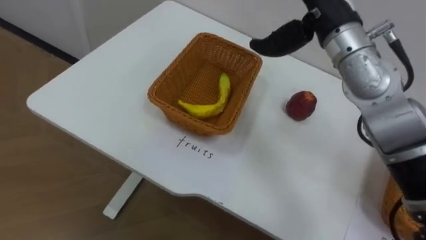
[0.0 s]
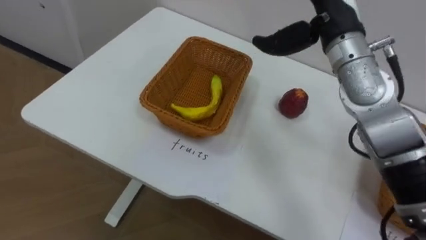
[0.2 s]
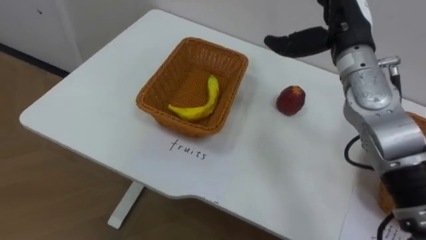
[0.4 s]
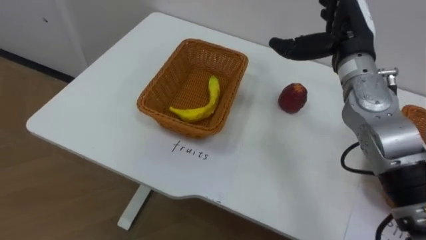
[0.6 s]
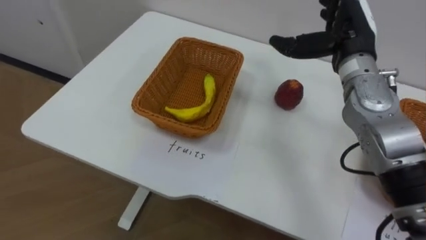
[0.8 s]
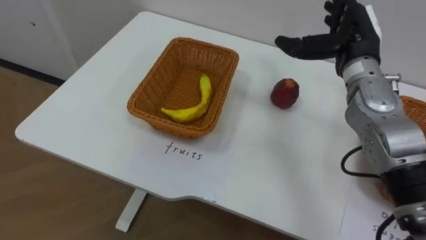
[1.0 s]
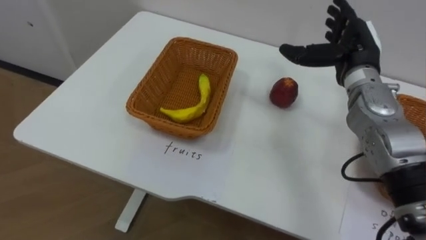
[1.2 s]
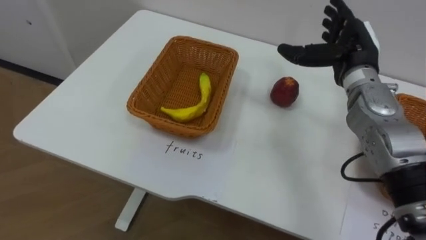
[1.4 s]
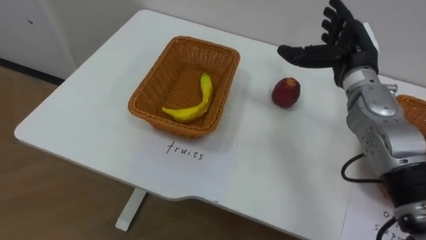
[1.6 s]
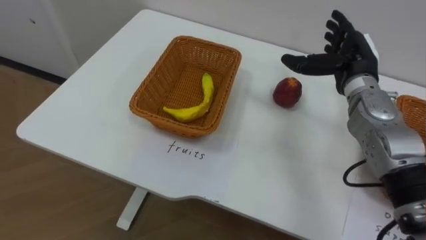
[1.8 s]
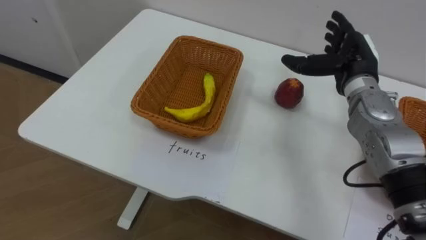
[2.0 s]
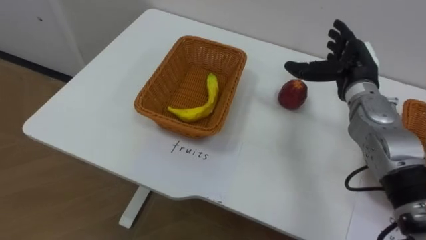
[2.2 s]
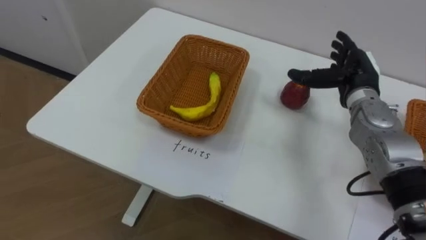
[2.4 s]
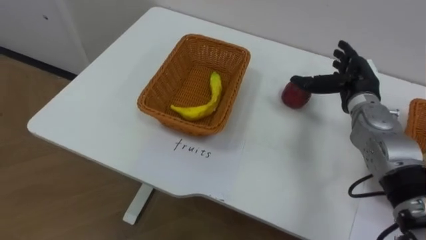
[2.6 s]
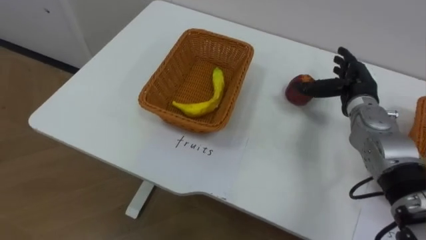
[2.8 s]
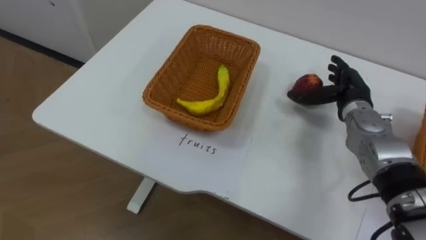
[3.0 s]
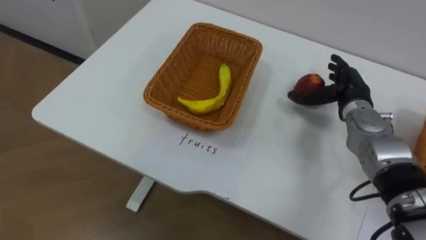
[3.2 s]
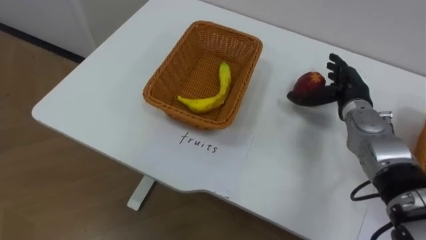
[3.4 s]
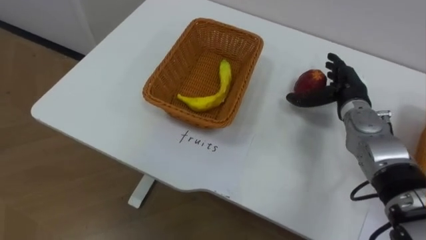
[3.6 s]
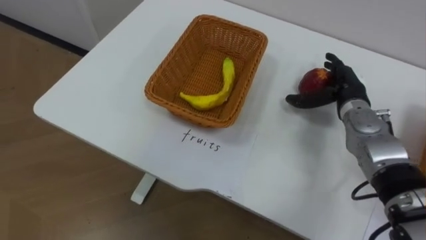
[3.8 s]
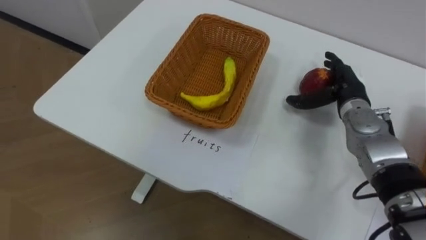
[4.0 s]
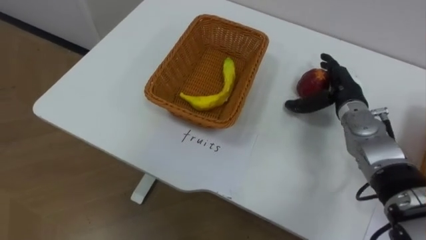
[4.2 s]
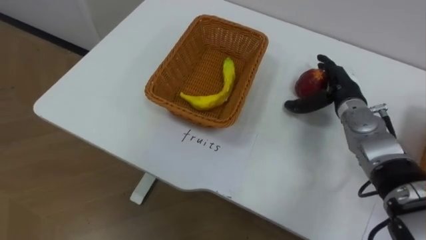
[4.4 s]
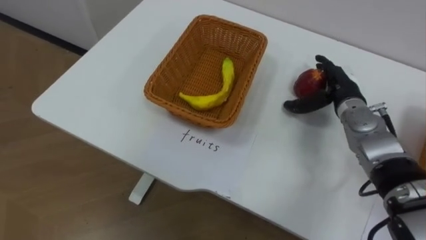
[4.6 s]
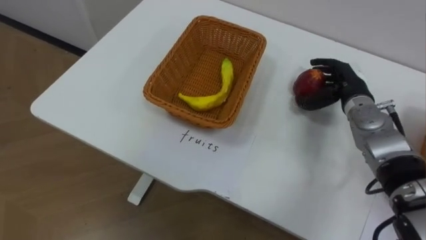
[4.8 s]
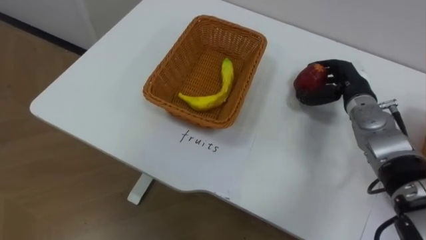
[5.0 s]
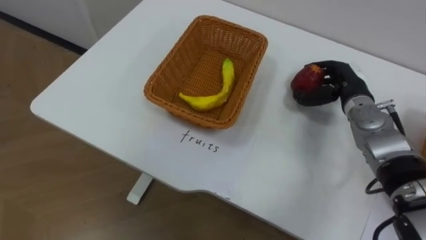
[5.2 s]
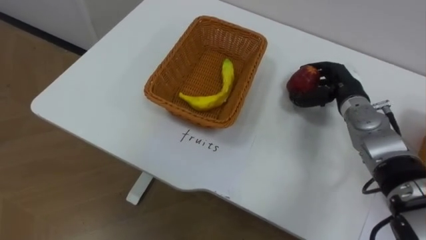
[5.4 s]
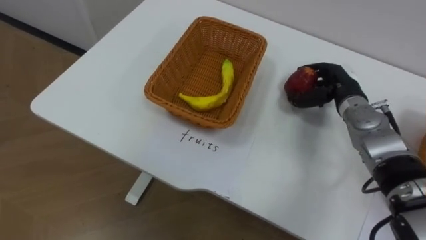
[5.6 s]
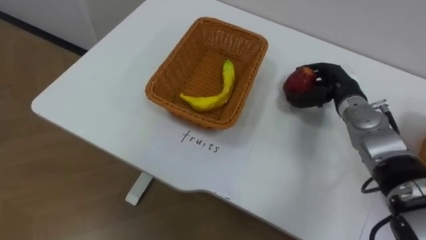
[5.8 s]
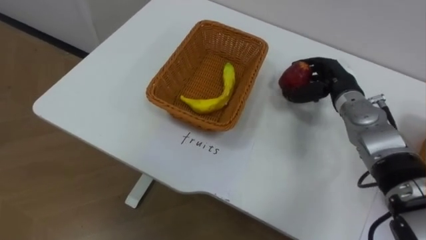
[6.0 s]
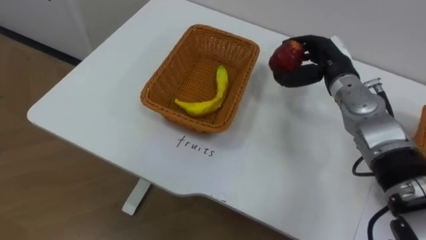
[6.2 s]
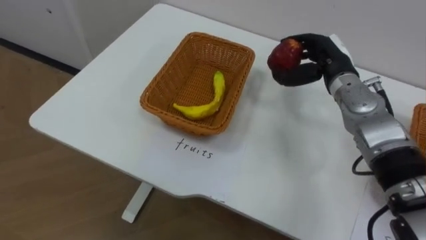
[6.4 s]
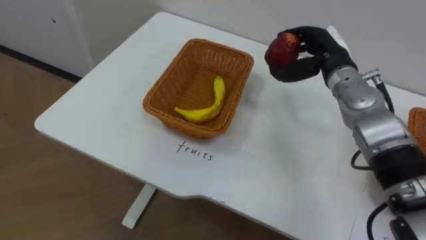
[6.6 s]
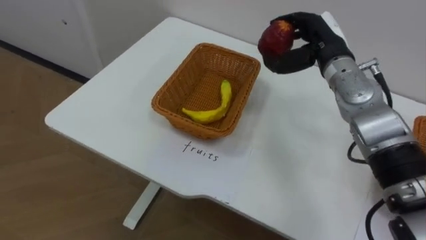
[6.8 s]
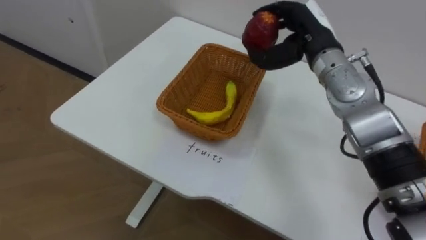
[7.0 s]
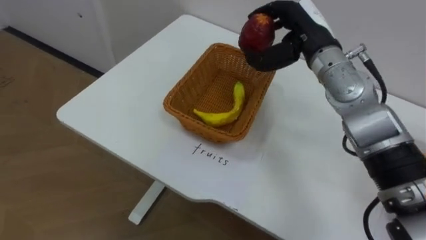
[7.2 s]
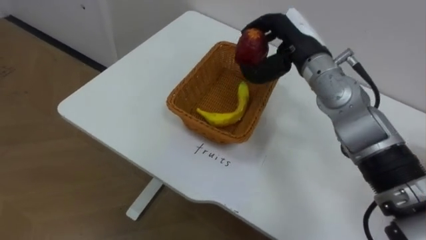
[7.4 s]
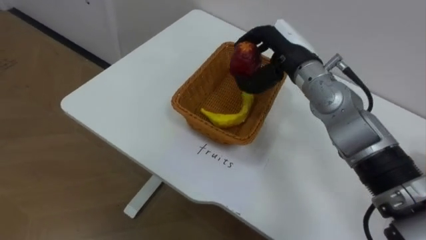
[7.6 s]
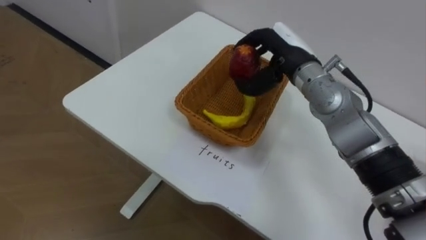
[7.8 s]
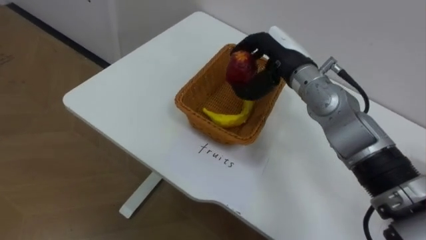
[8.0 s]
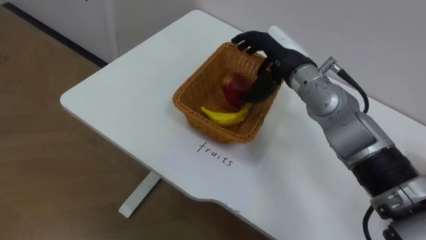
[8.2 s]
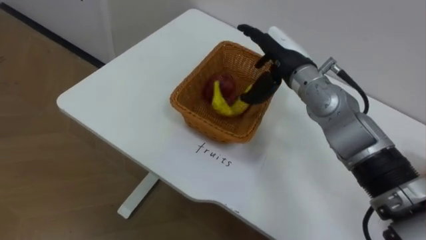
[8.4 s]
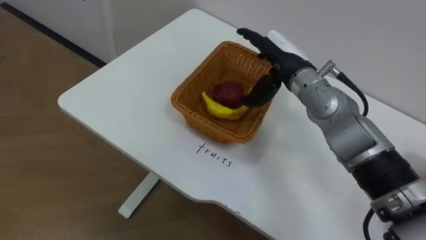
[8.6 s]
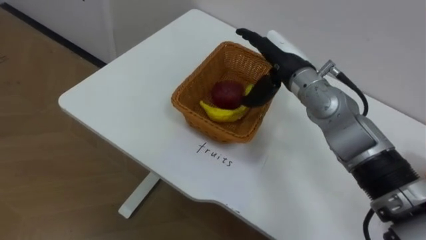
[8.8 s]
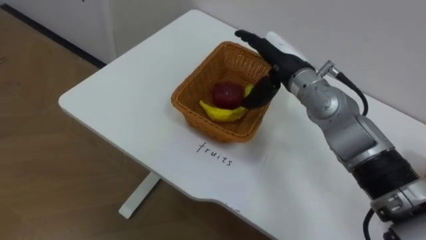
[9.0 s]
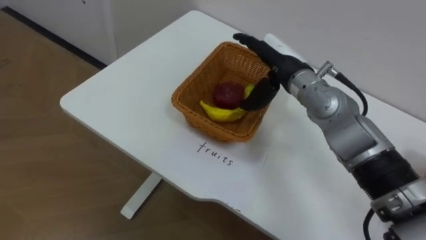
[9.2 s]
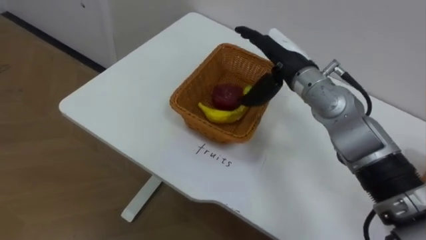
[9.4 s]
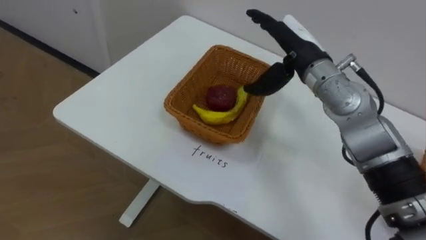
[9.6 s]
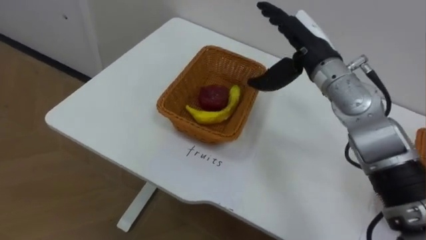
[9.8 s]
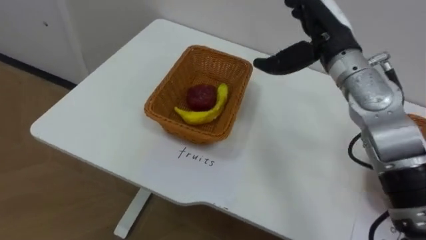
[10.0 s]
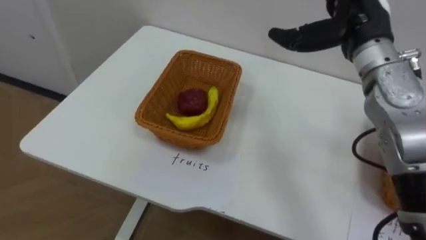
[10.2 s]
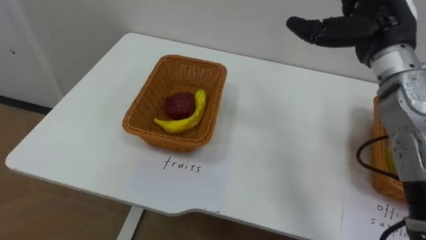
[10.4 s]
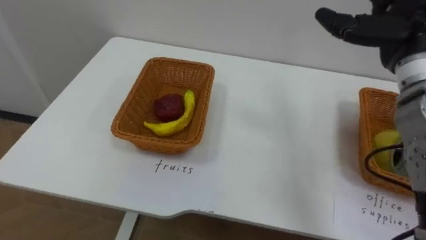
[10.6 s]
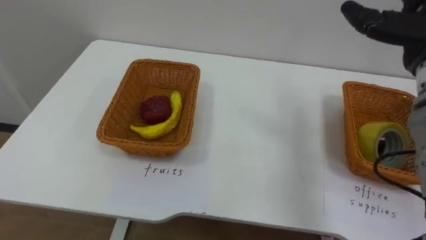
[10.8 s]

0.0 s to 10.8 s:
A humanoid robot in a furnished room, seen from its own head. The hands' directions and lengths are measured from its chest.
Task of the whole recording: Separate the items on the table and place them into the two baskets.
0.0 to 1.6 s: The right hand travels downward and to the right by some 15 cm.
1.6 to 3.0 s: The right hand shifts some 10 cm downward.
4.6 to 6.2 s: The right hand goes approximately 5 cm upward, and closes up.
6.2 to 7.8 s: The right hand moves to the left, approximately 10 cm.
7.8 to 9.2 s: The right hand opens.
9.2 to 10.8 s: The right hand shifts roughly 20 cm to the right and upward.

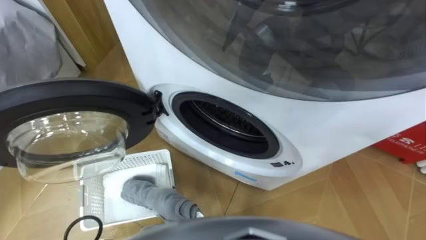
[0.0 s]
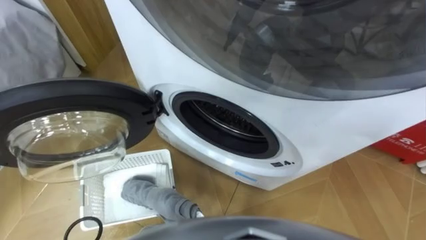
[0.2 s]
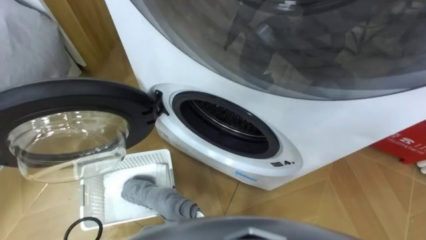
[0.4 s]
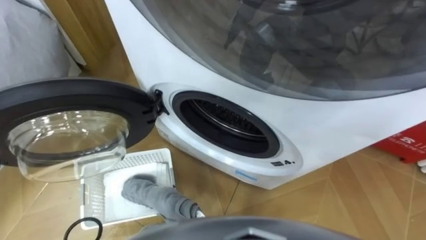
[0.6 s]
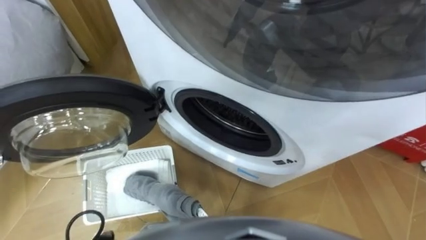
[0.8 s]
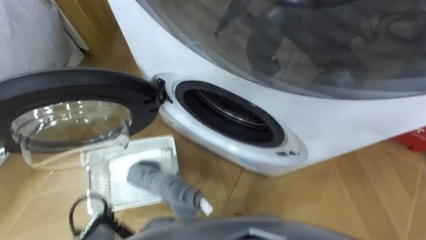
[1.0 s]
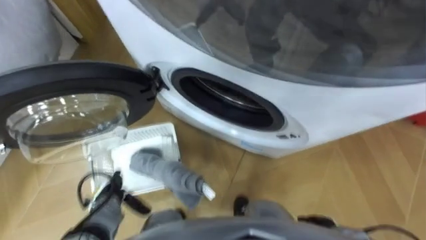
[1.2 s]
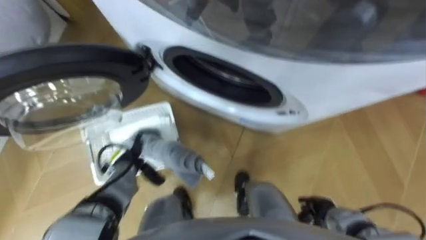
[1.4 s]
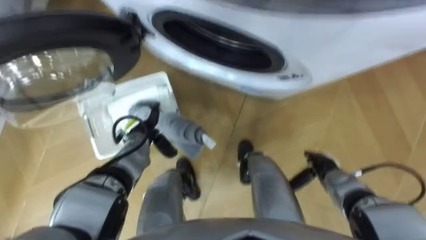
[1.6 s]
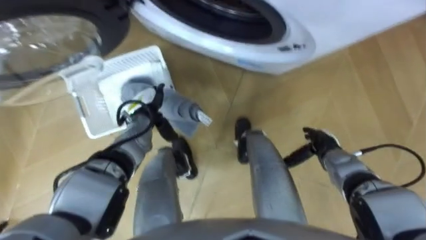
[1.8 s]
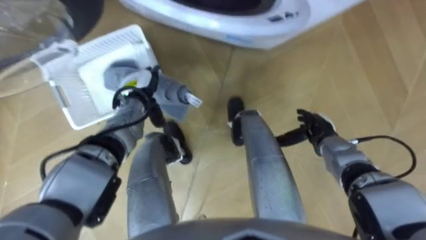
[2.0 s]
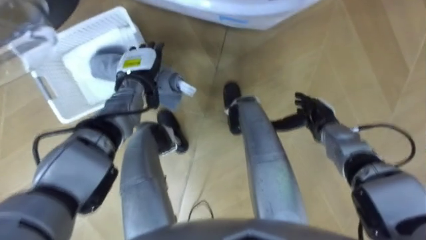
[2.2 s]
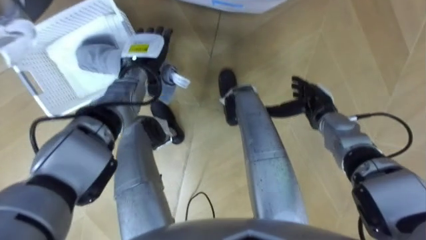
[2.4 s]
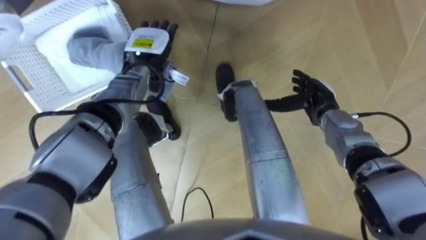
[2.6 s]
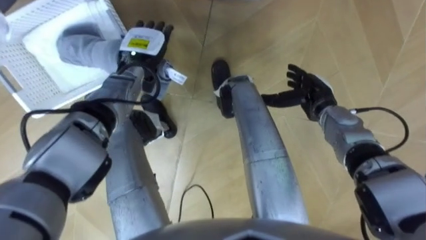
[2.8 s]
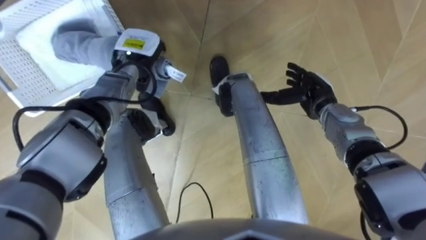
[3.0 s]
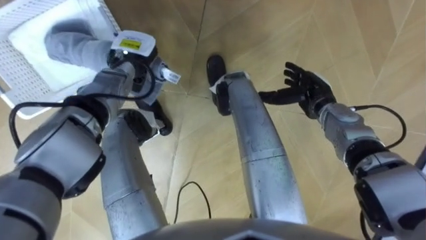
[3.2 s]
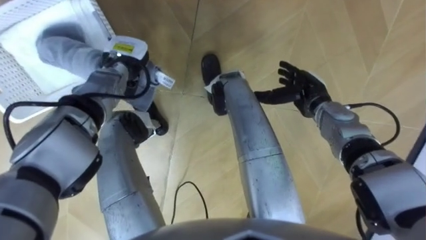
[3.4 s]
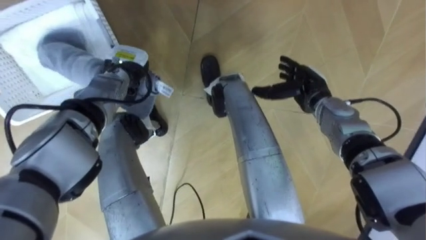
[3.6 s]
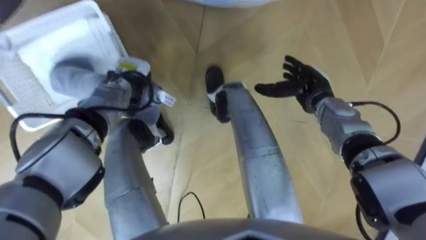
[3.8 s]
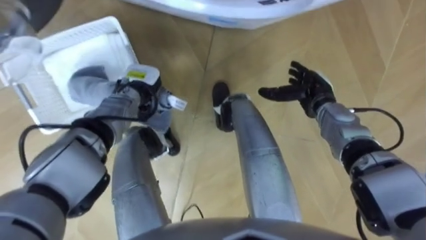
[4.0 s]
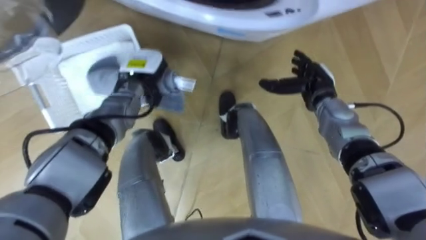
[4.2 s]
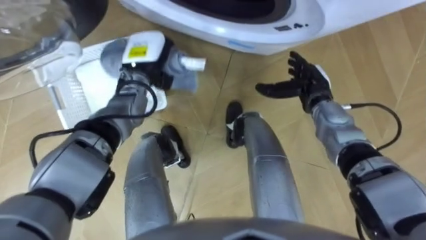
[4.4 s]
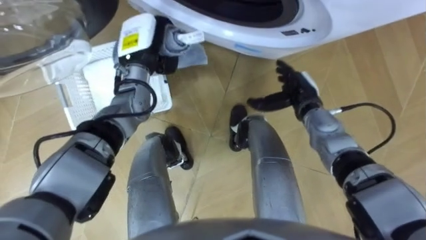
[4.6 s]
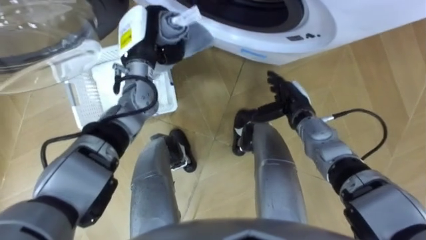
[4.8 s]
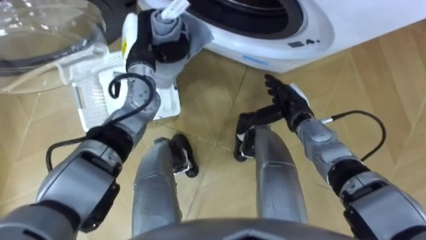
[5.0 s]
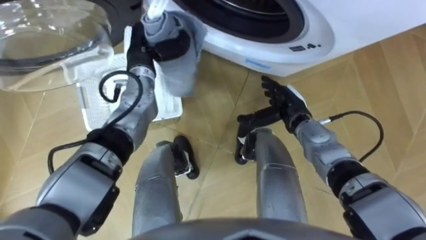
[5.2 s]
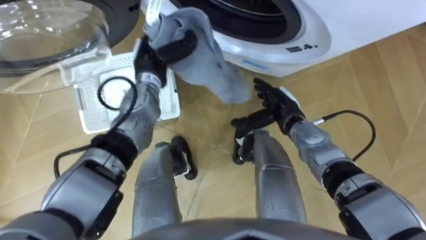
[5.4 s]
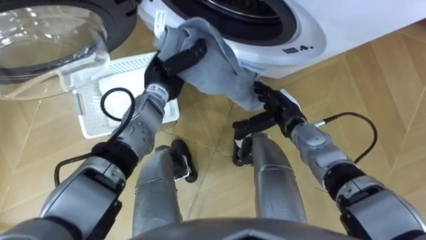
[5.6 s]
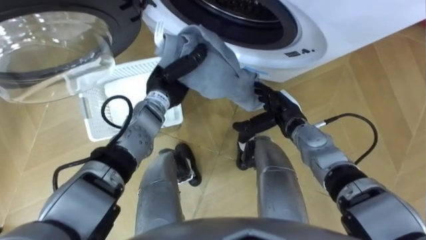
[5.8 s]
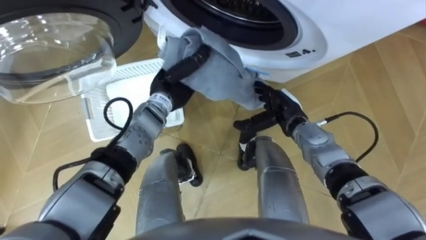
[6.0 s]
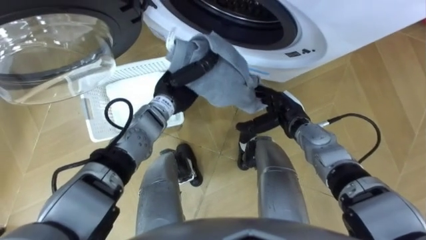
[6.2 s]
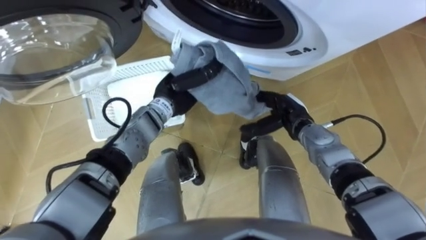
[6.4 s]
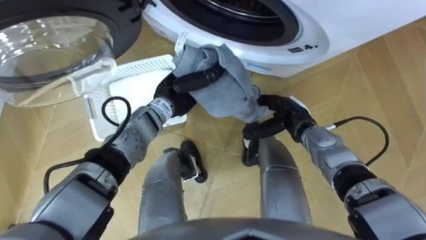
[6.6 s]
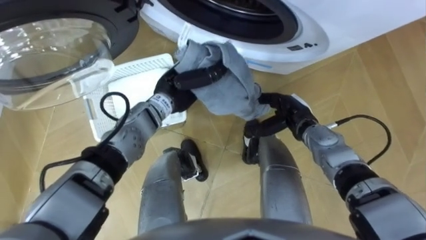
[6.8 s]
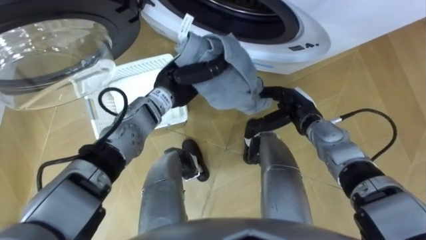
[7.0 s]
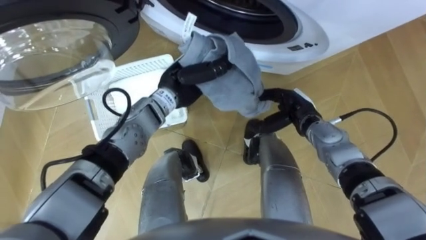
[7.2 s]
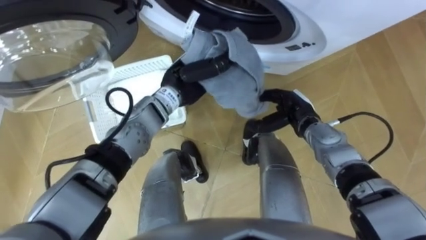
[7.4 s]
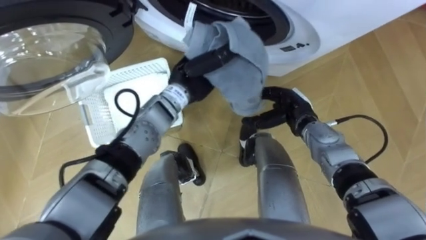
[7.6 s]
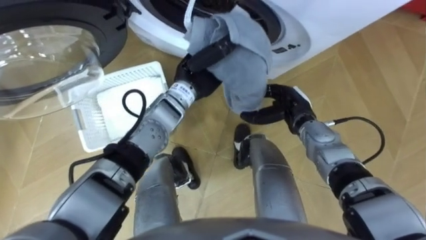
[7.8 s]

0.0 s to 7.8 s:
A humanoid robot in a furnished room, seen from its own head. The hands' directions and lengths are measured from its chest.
Task of the whole recording: Take the towel from the basket and put it into the washing machine.
1.6 to 3.2 s: The hands both shift forward and upward by approximately 20 cm. The left hand closes up.
3.2 to 4.6 s: The left hand changes place by some 5 cm.
4.6 to 6.2 s: The right hand changes place by approximately 5 cm; the left hand travels to the right, downward and backward by approximately 10 cm.
6.2 to 7.8 s: The left hand moves upward, approximately 5 cm.
